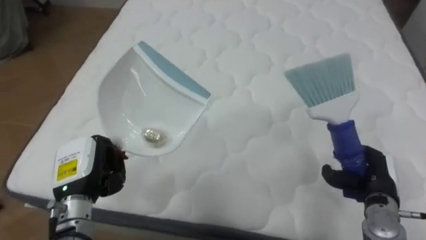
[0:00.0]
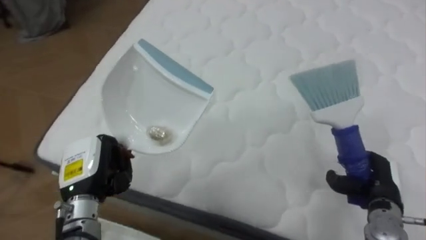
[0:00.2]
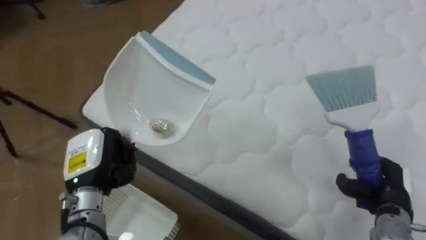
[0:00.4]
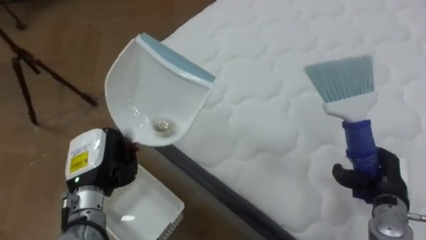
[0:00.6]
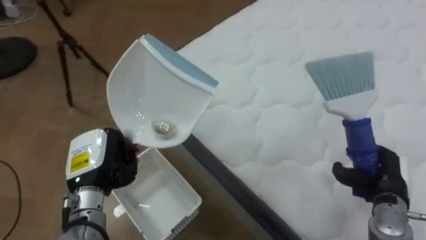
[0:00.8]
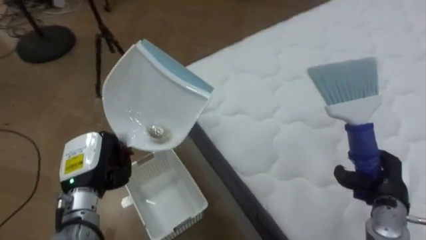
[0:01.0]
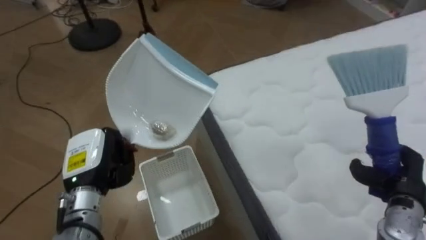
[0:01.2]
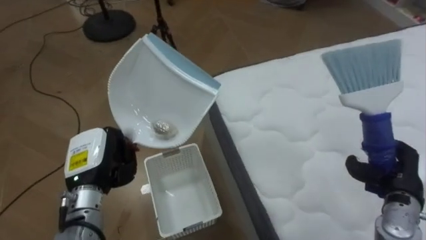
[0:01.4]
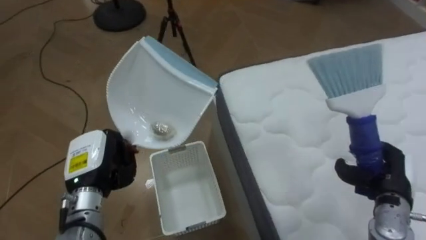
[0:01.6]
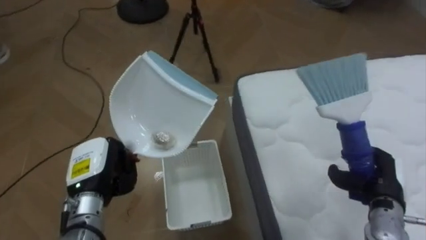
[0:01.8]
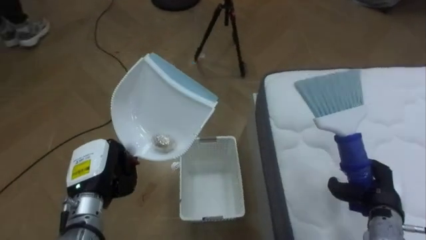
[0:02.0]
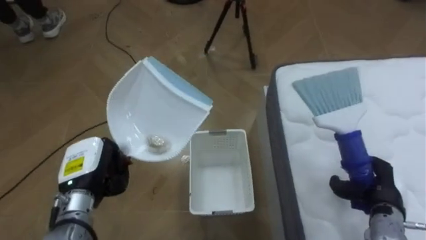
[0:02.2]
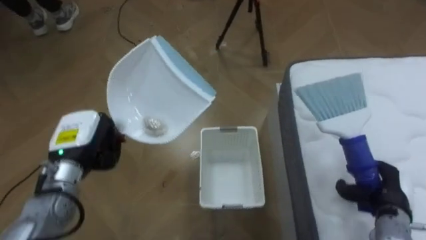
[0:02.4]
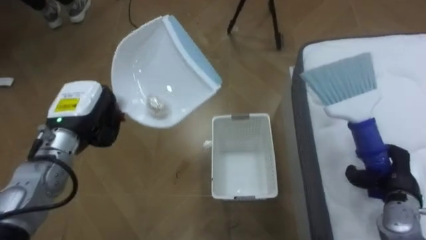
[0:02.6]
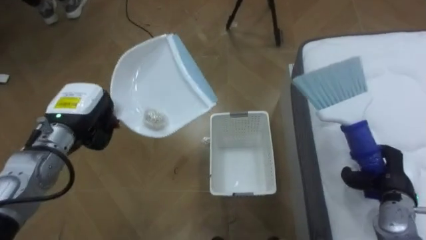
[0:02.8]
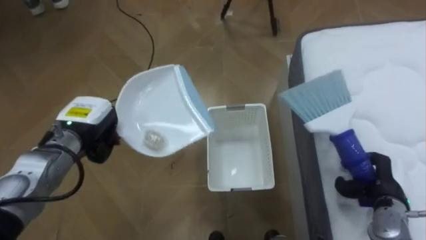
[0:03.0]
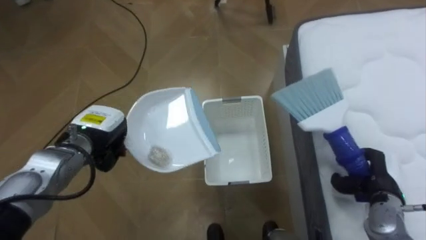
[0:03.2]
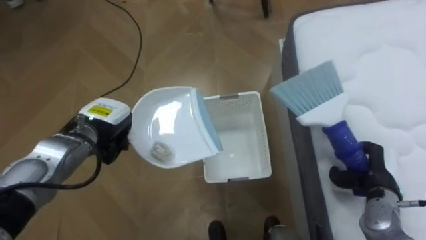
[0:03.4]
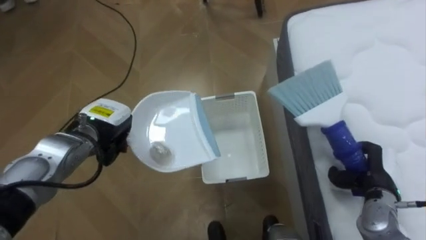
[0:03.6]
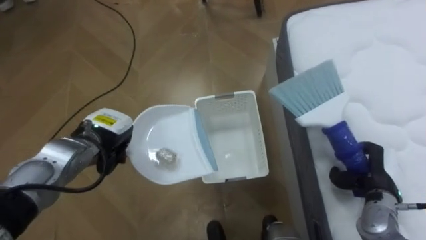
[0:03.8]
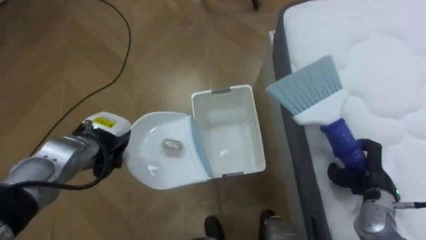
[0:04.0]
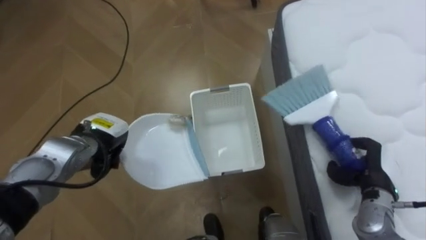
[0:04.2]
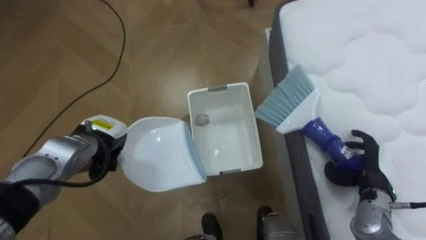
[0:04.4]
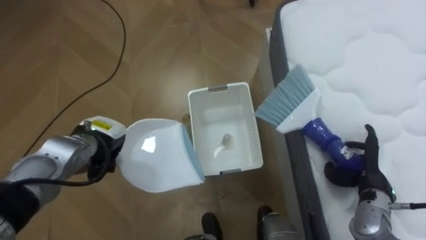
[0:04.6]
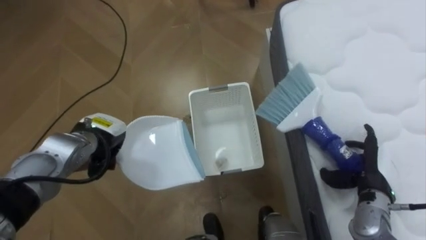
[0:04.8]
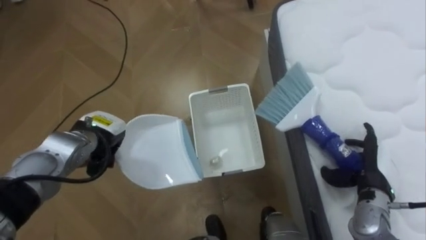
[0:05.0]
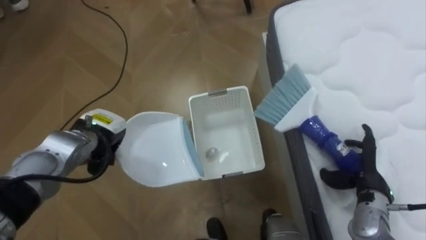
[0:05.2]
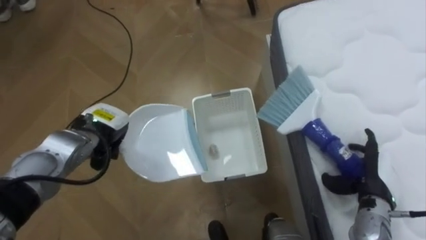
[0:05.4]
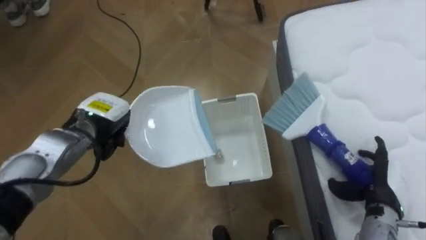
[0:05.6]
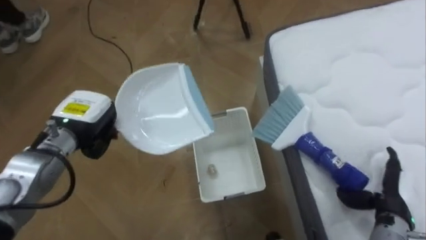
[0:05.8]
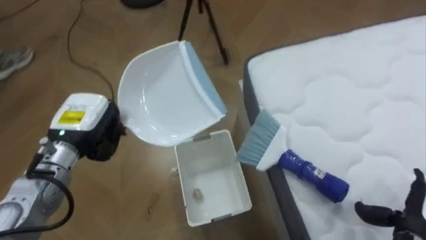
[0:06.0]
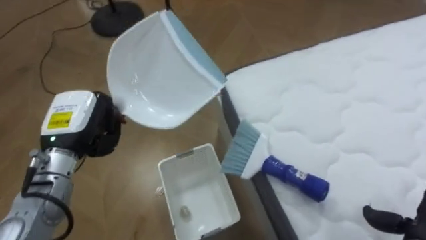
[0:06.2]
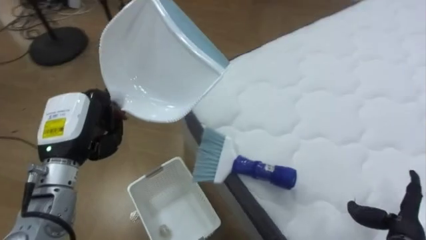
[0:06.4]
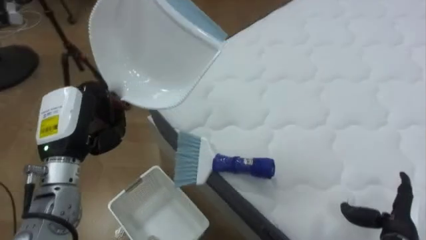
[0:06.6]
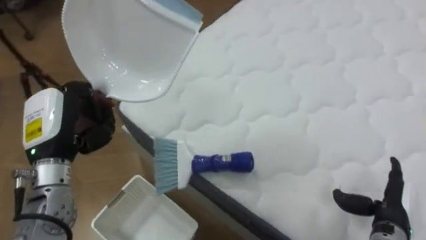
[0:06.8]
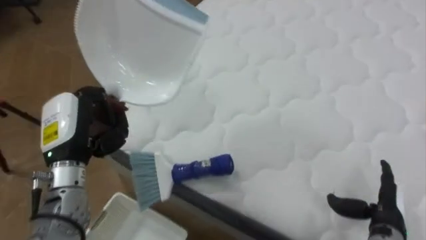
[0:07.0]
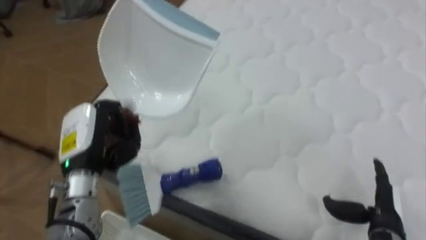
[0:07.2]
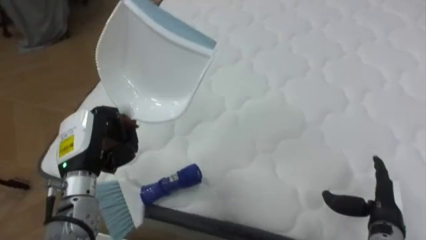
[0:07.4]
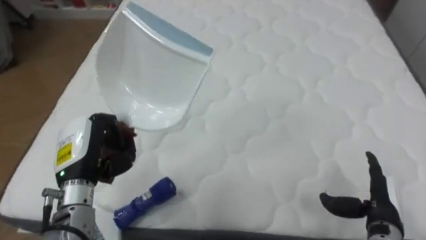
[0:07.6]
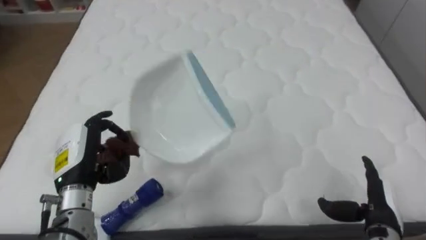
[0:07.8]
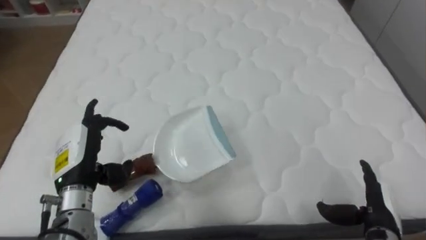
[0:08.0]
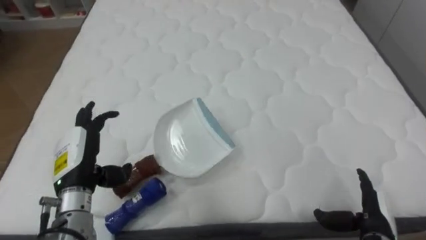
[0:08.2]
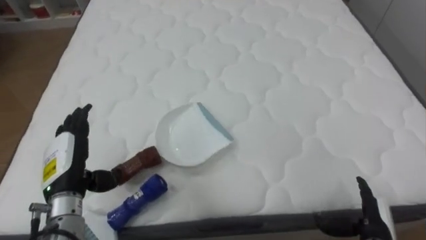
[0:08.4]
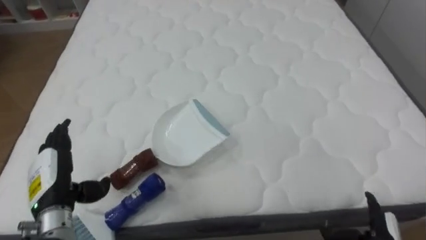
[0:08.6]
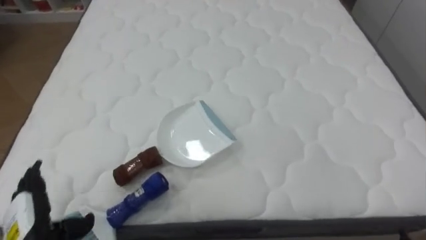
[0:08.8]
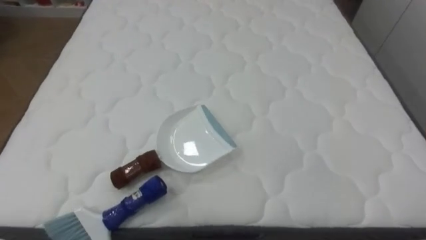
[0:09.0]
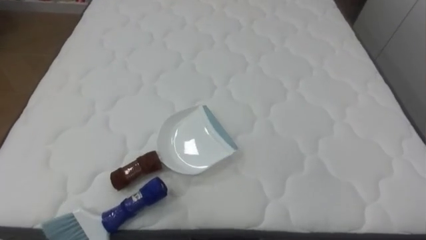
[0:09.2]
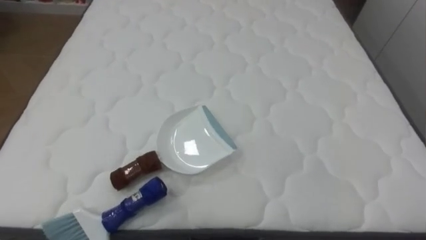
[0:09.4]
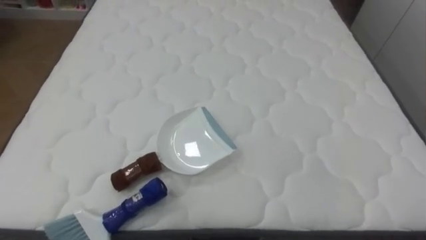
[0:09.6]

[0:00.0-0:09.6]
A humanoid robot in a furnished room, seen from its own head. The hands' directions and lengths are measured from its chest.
Task of the whole recording: Pick up the brush on your right and the dustpan on your left. Use the brush to sweep the crumpled paper on the bed into the dustpan, then turn left and empty it into the basket.
0:00.0 to 0:01.6: The robot turns to its left by some 70 degrees.
0:01.6 to 0:03.2: The robot faces roughly 25 degrees further to its left. The left hand travels forward by about 5 cm.
0:03.2 to 0:04.8: The right hand opens up.
0:04.8 to 0:06.4: The right hand shifts roughly 10 cm backward. The left hand shifts some 10 cm upward and backward.
0:06.4 to 0:08.0: The robot rotates some 55 degrees to its right. The left hand shifts approximately 5 cm downward, and opens up, while the right hand changes place by some 5 cm.

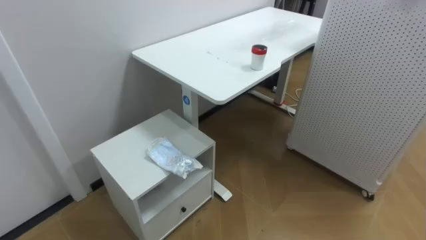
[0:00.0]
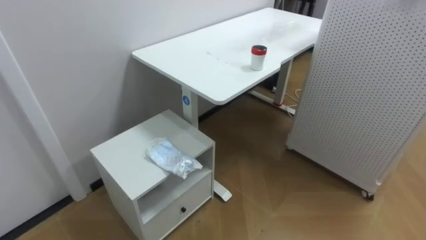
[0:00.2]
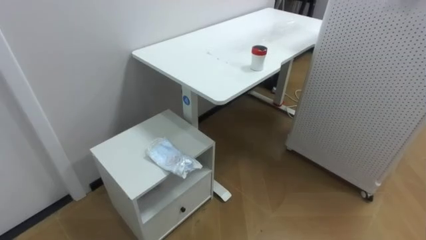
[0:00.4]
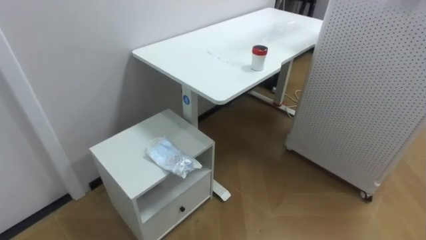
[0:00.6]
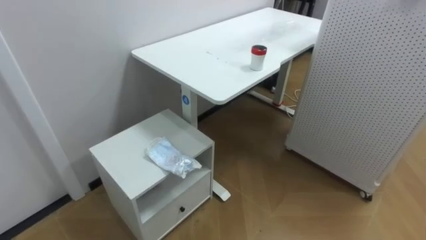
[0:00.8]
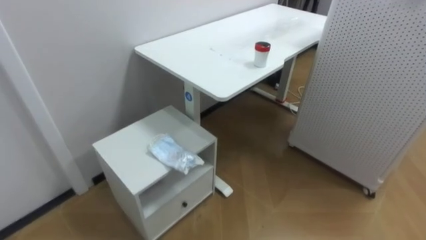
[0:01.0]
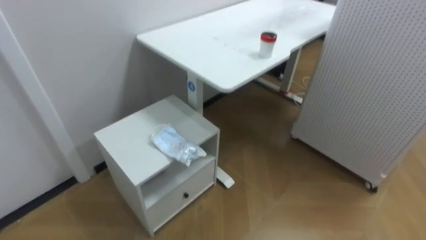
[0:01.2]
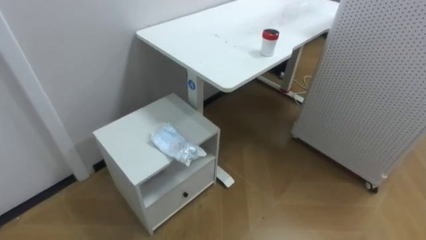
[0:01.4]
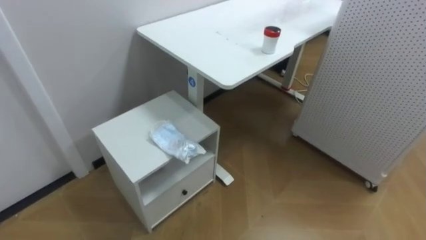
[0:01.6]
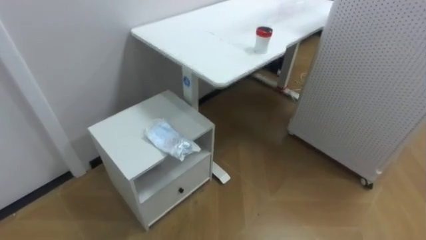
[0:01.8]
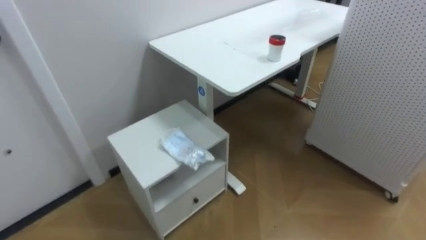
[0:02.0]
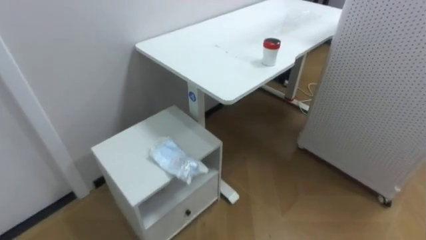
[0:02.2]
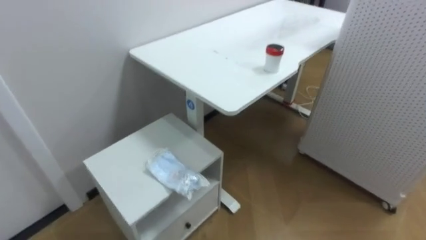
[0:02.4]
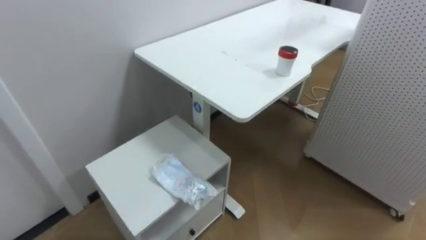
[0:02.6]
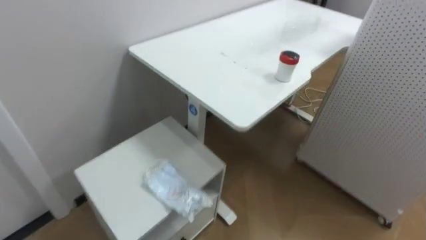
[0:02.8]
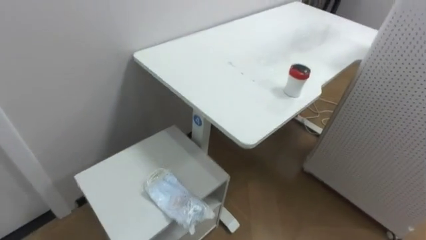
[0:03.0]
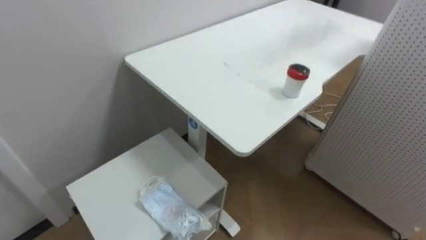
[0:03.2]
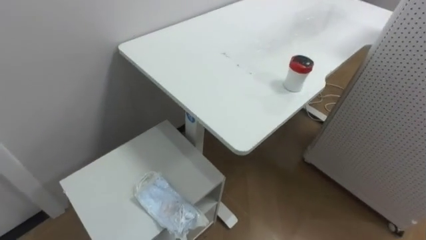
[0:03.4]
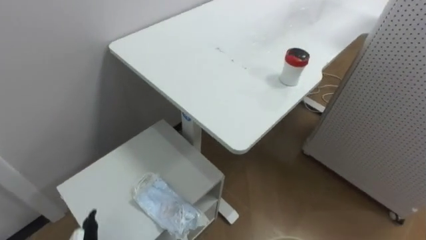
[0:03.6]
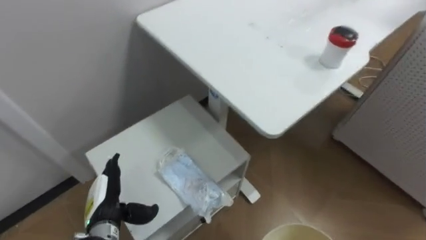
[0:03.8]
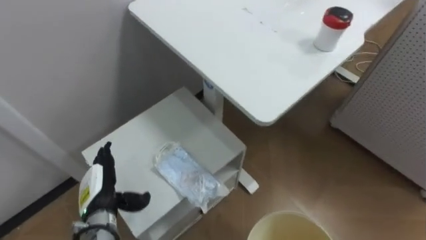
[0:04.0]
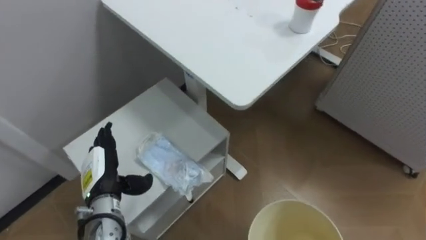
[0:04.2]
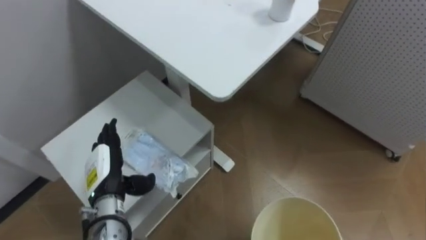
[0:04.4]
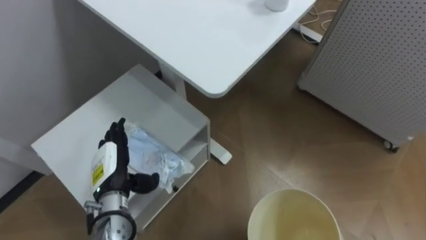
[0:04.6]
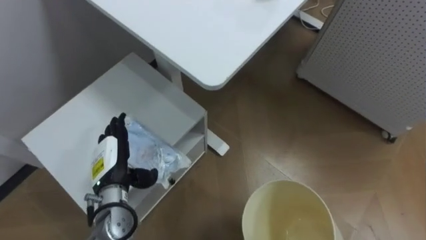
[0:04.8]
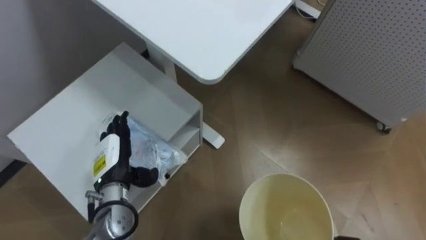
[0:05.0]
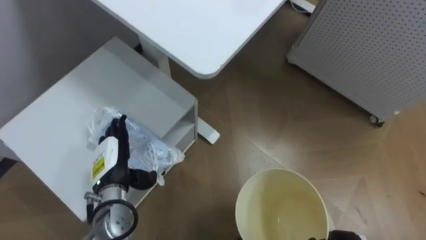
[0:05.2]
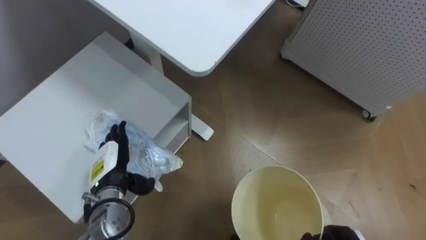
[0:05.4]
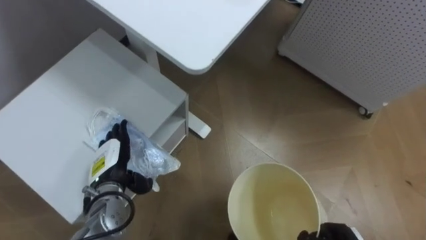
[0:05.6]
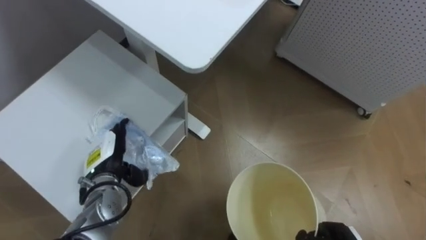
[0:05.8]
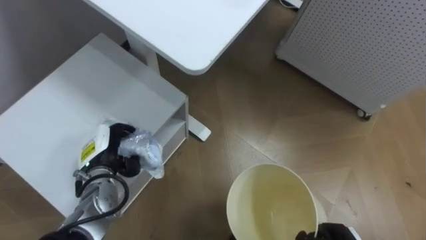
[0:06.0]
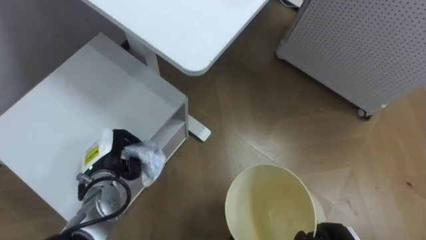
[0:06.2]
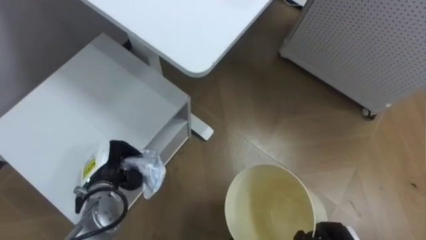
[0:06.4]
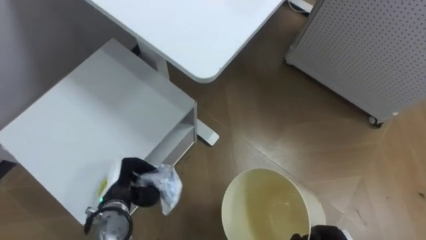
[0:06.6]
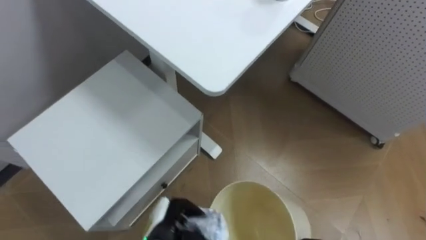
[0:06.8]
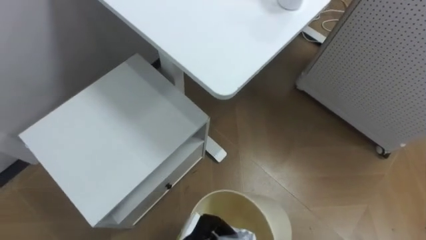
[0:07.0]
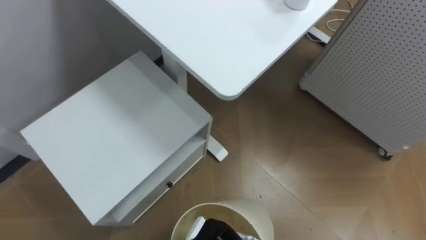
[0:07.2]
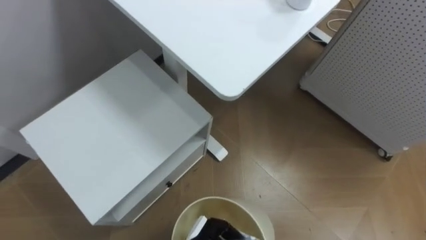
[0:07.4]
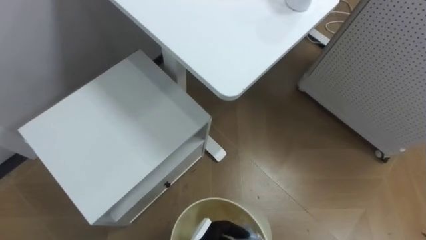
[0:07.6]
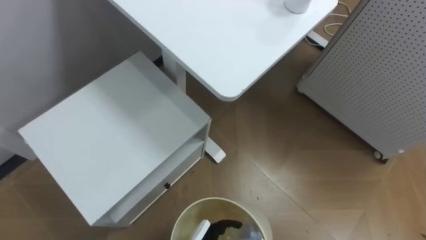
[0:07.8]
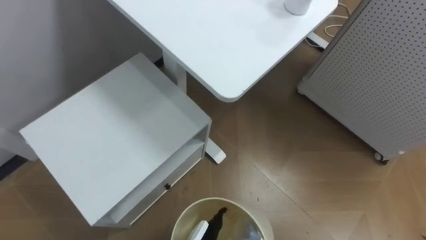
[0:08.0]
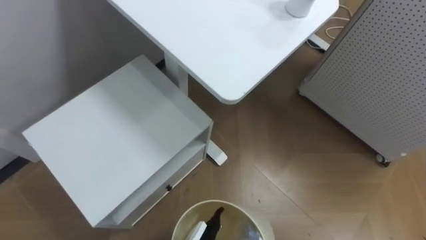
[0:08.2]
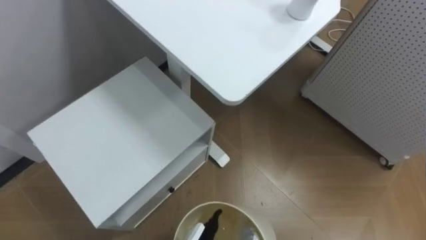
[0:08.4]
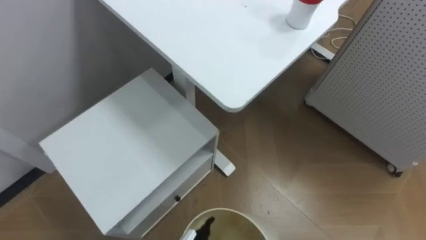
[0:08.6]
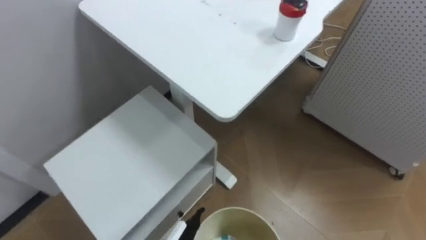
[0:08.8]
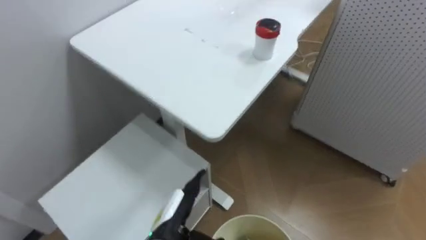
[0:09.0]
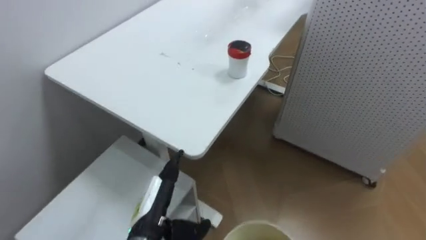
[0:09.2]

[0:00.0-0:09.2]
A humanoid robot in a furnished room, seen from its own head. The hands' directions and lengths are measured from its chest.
Task of the whole recording: Pick up the light blue package, the candy box, and the dark blue package separately, and put them into the trash can held in your right hand.
0:04.6 to 0:06.2: The left hand closes up.